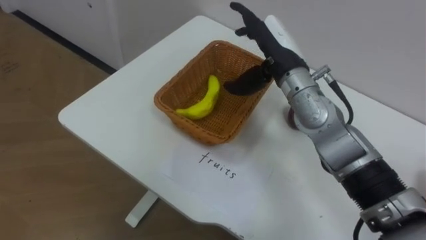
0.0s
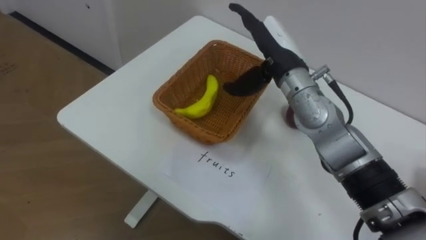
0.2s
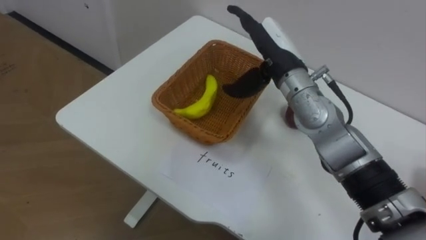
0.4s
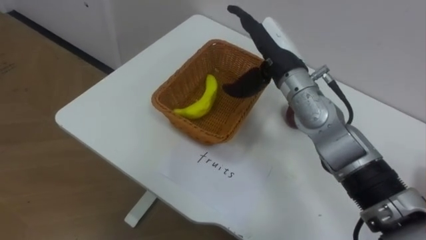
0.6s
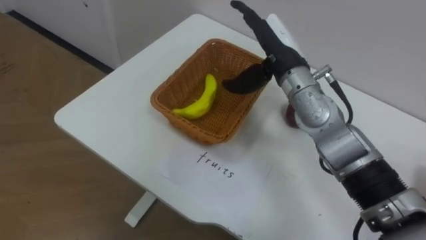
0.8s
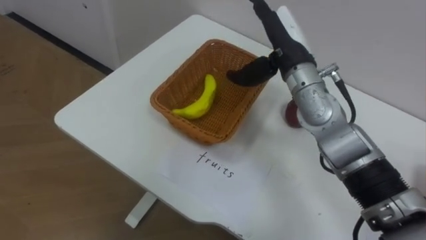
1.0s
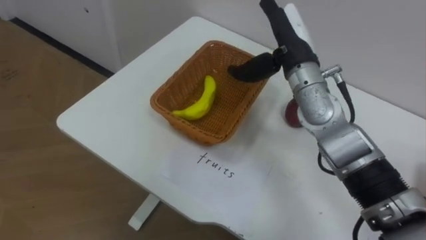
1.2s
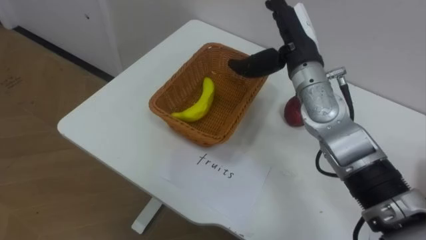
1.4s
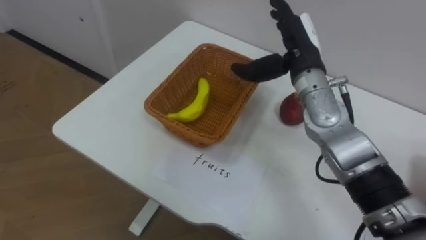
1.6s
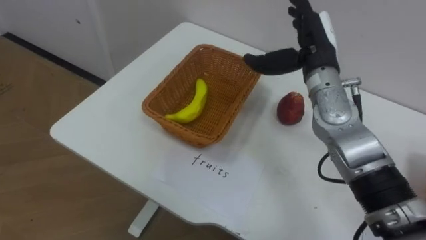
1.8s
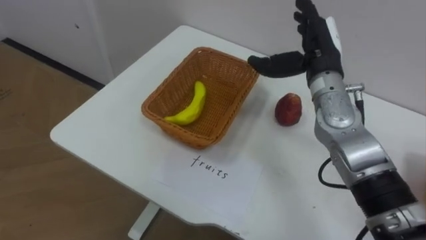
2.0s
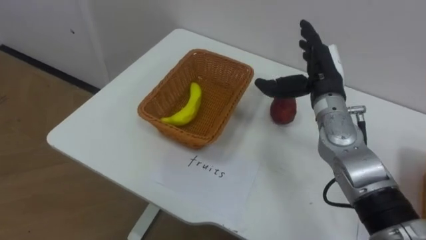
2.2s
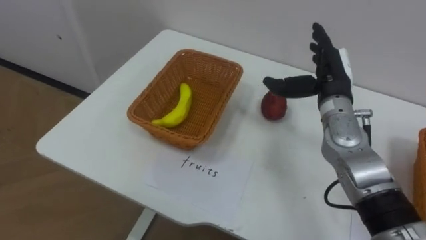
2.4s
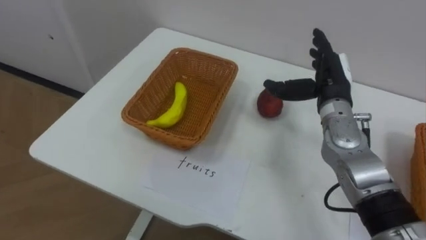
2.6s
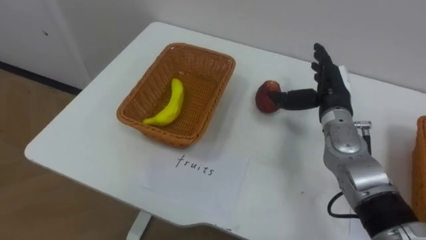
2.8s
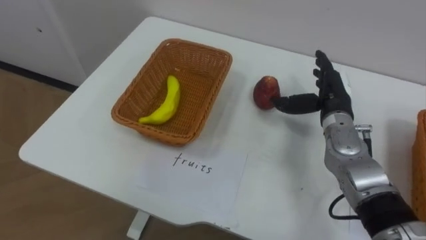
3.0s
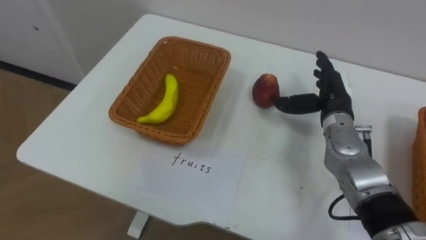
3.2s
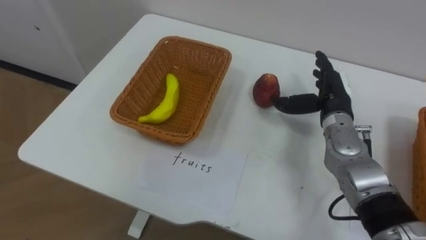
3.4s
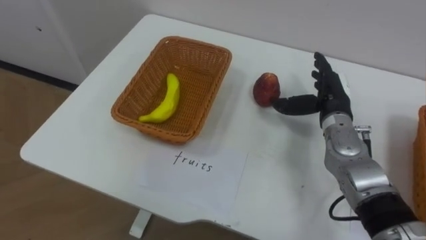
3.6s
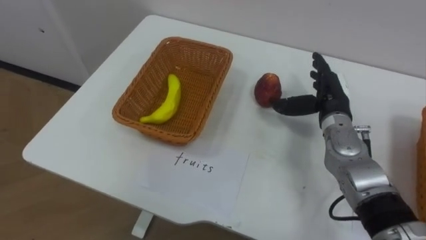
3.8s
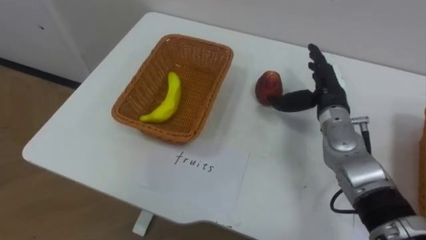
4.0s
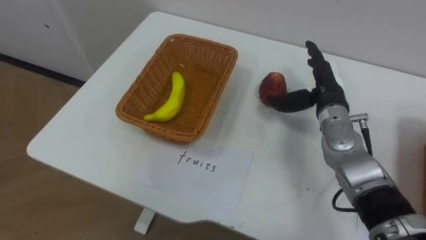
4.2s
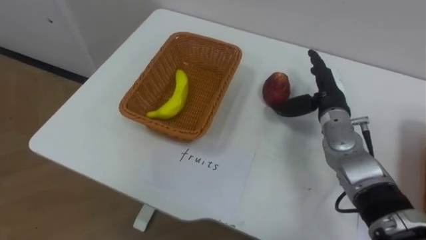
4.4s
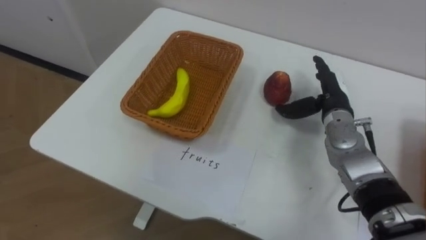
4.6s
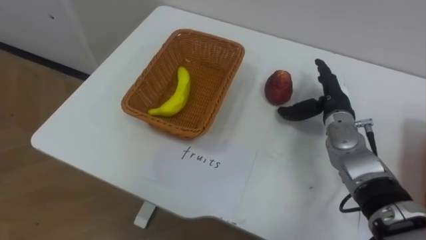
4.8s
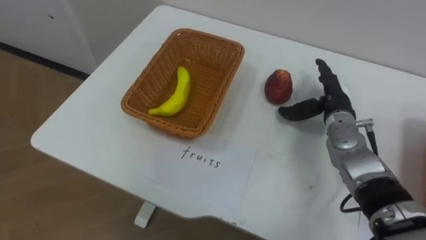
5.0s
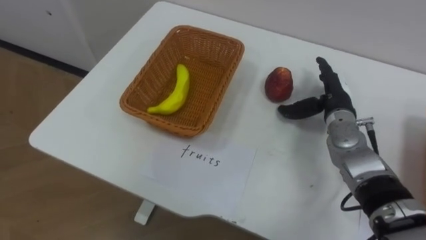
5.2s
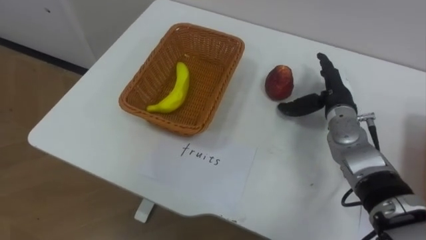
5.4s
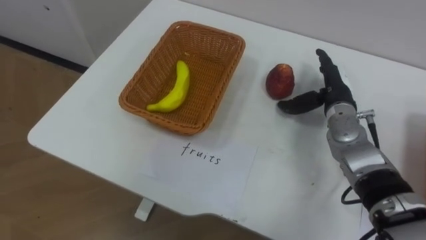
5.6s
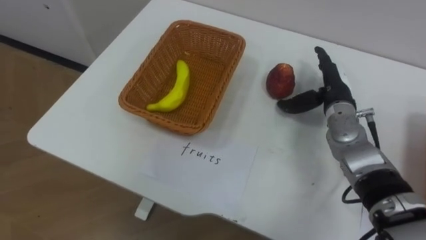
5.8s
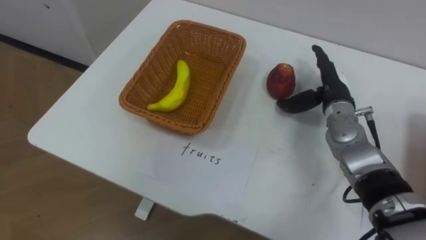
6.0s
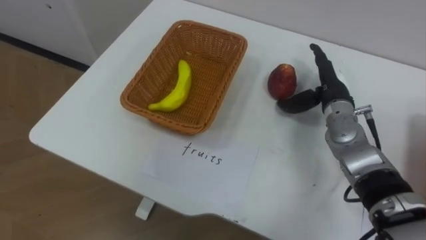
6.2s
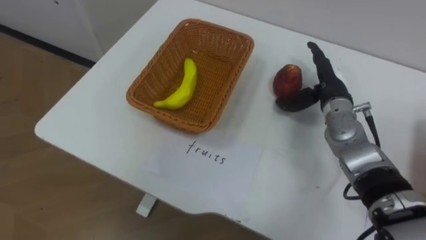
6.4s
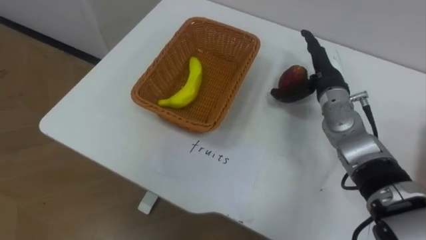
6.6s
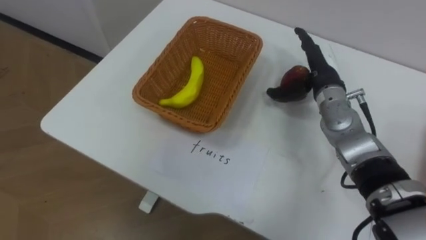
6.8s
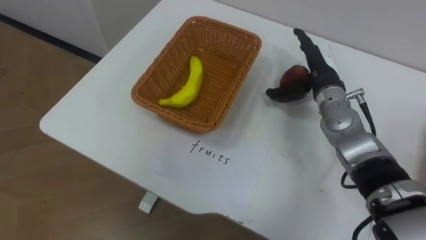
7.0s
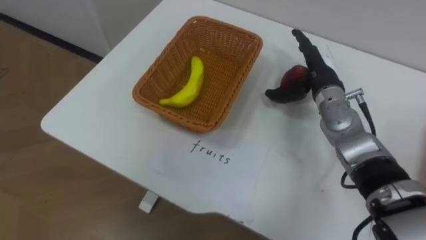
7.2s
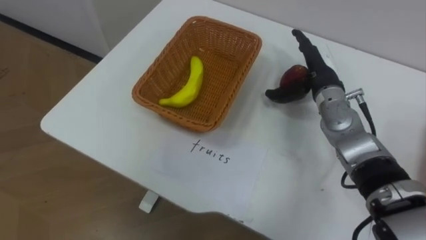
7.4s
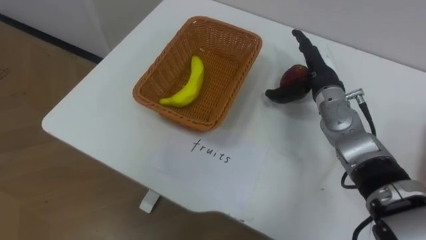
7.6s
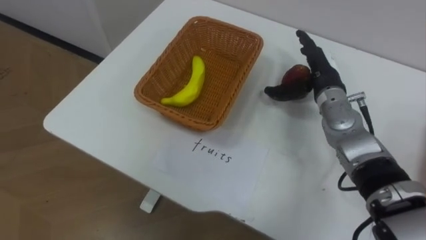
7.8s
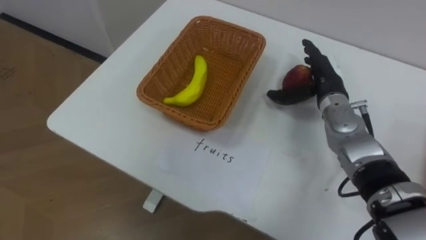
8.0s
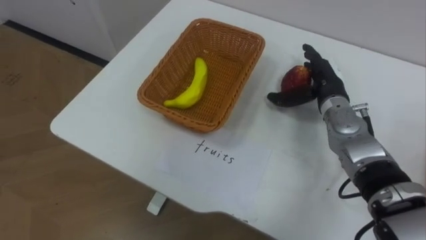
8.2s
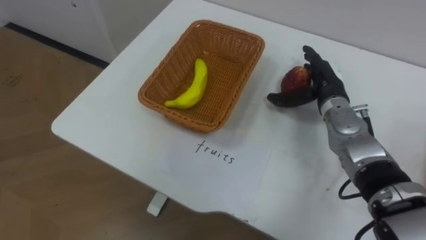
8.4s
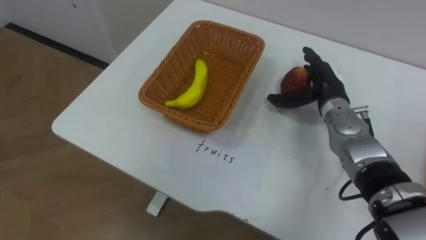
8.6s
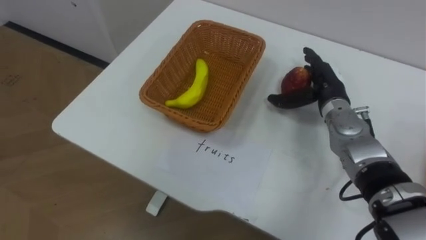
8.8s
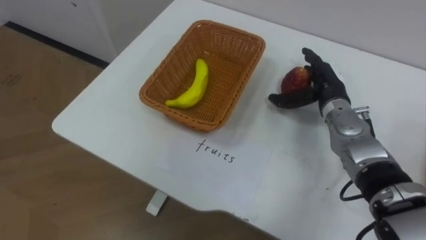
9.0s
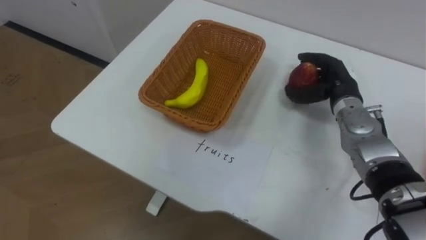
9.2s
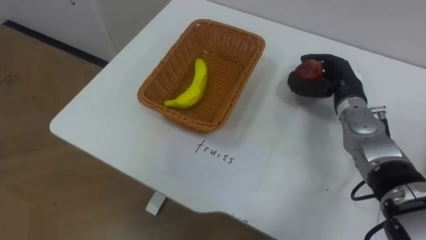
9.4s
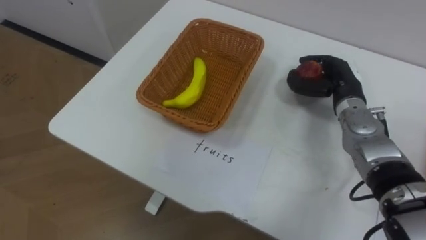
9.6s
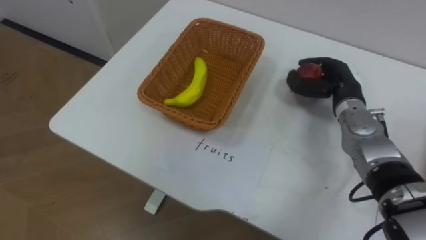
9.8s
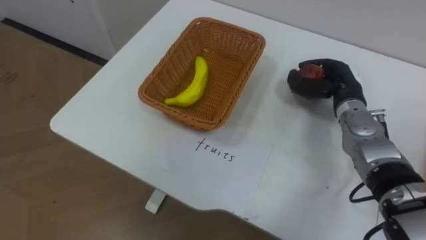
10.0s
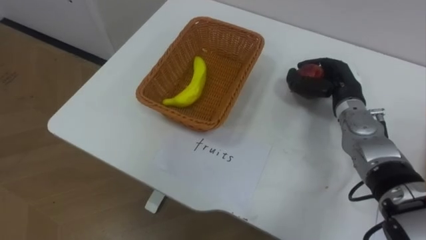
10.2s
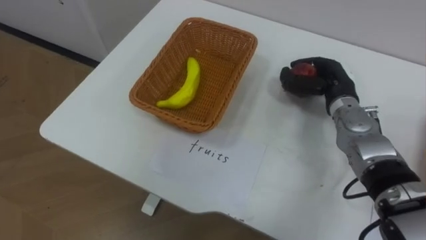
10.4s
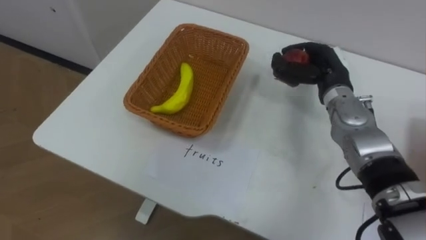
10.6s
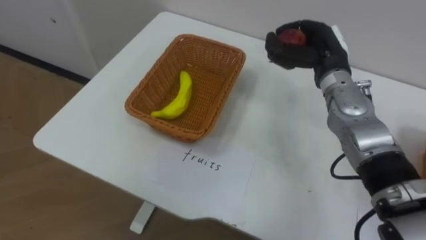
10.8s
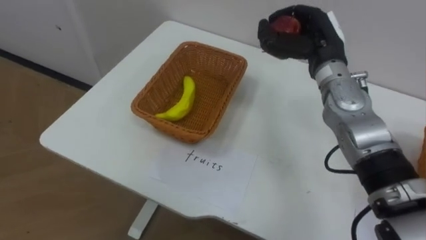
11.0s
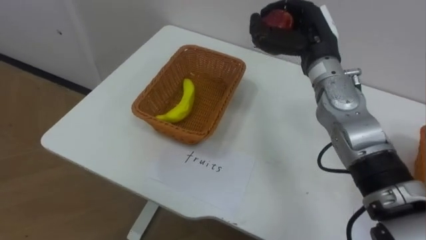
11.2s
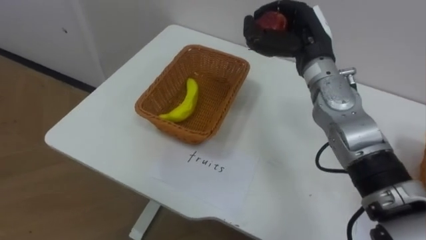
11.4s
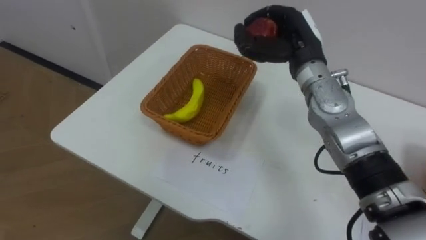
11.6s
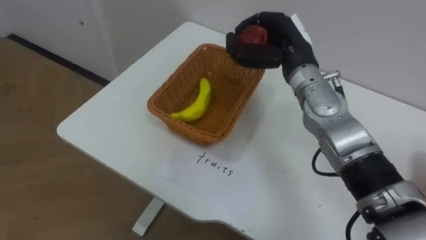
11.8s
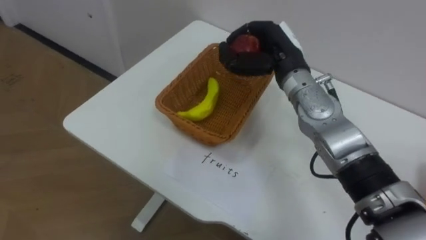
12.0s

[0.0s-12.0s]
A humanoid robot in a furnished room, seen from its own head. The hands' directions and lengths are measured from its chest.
Task of the whole recording: Separate the items on the table and place them into the two baskets.
1.6s to 3.0s: The right hand moves downward and to the right, some 15 cm.
9.0s to 10.4s: The right hand closes its fingers.
10.4s to 12.0s: The right hand shifts approximately 15 cm to the left and upward.

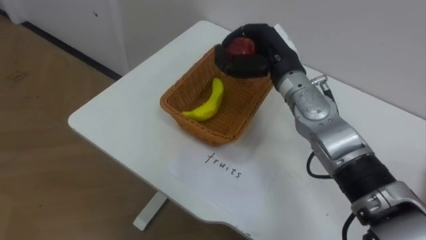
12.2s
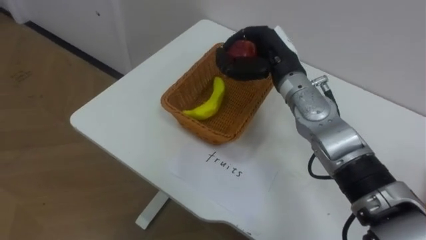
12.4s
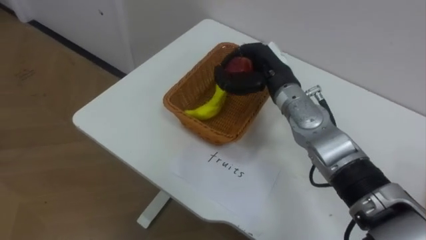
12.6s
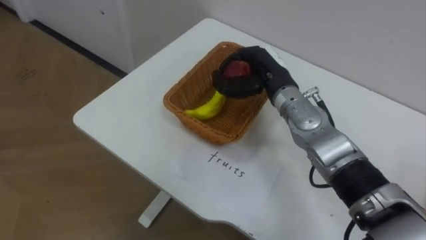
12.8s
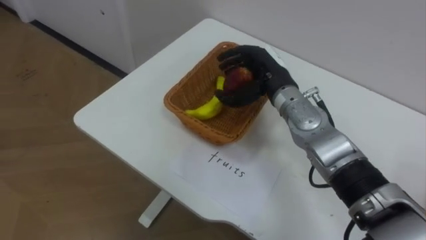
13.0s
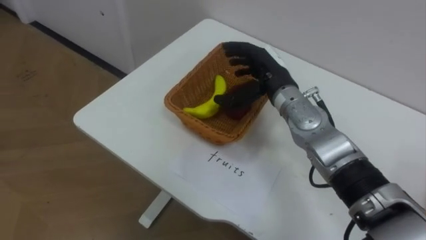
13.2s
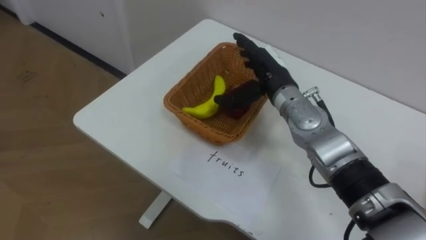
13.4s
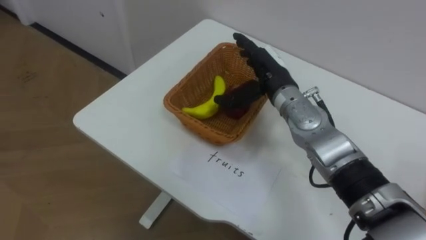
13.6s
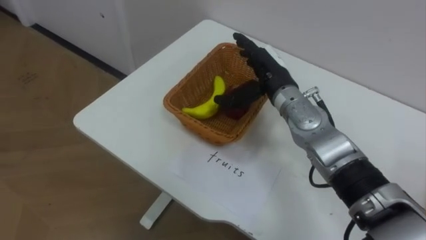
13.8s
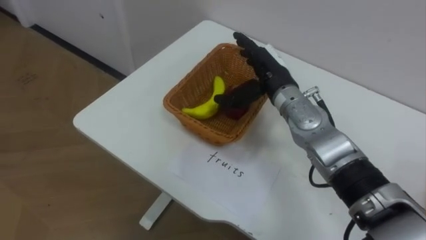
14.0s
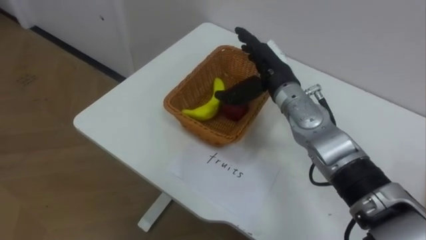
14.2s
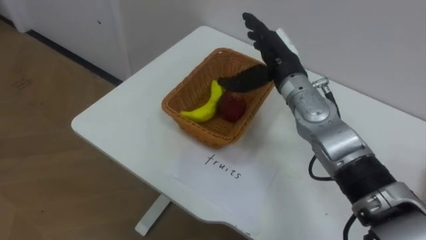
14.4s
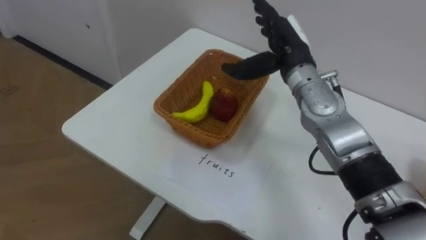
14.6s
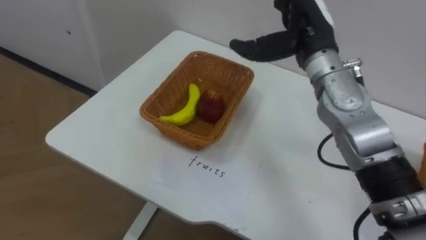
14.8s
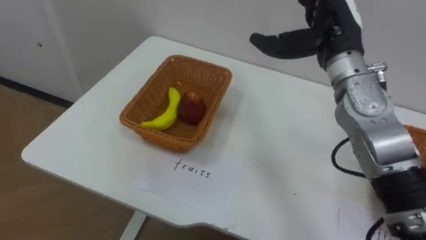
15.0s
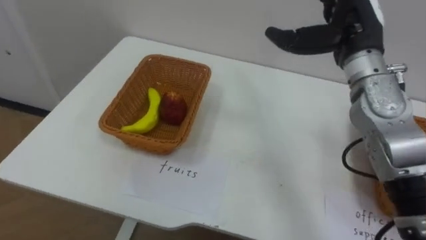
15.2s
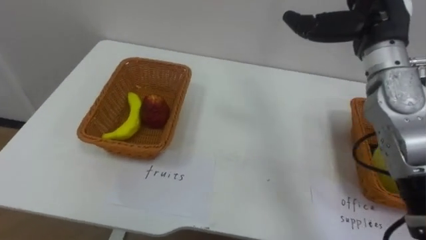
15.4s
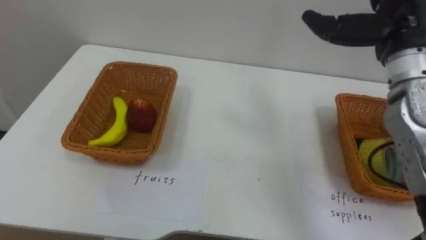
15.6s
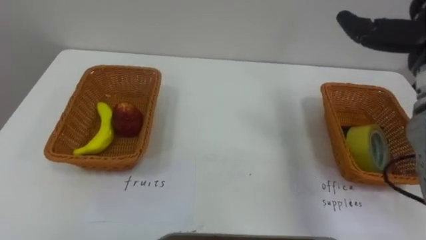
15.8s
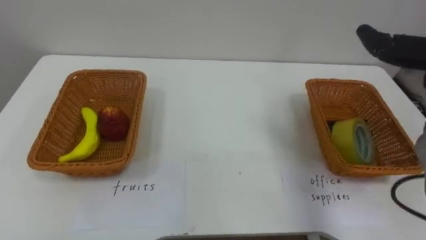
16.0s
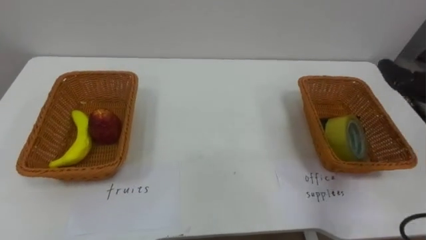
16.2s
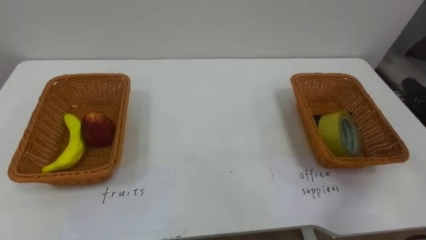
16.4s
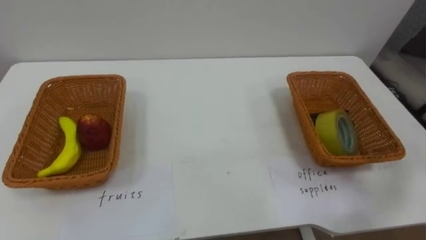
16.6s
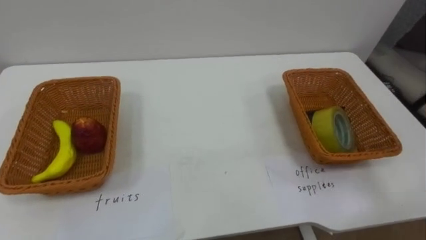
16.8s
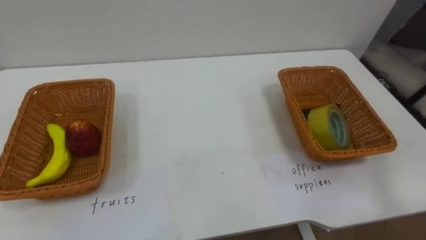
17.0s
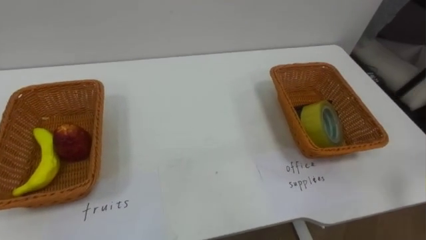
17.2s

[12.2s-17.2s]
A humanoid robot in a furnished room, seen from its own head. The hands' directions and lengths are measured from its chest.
Task of the whole recording: Separate the items on the table and place them into the two baskets.
12.2s to 13.8s: The right hand opens its fingers.
13.8s to 15.6s: The right hand moves to the right and upward, roughly 20 cm.
